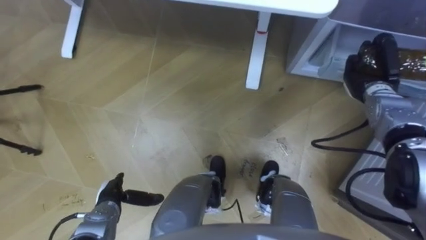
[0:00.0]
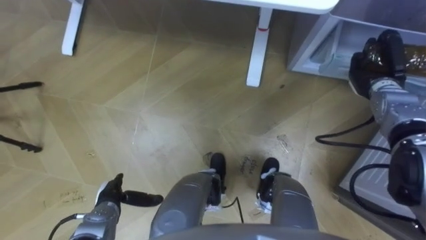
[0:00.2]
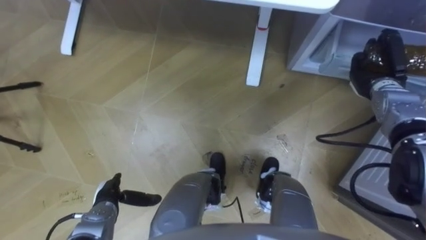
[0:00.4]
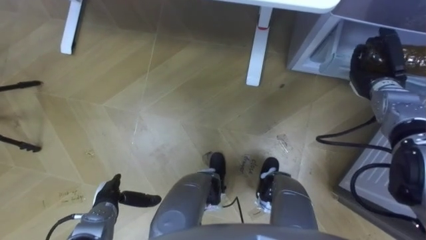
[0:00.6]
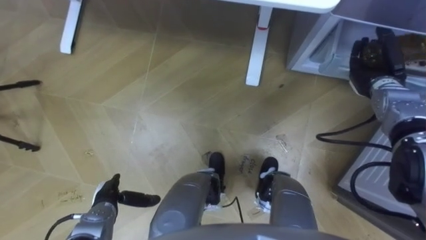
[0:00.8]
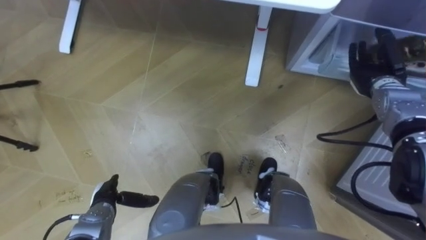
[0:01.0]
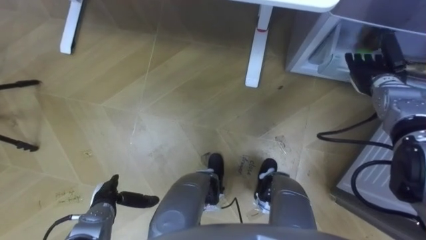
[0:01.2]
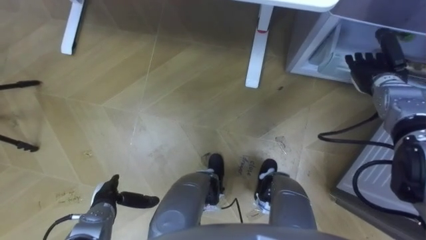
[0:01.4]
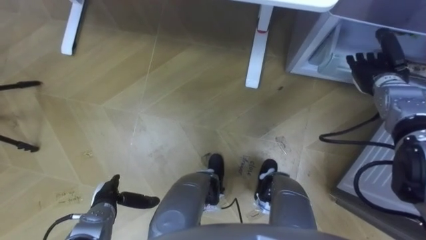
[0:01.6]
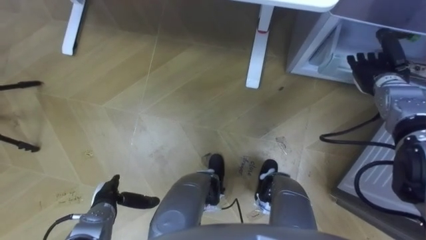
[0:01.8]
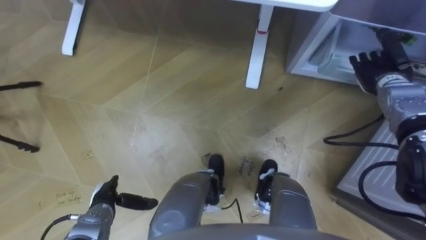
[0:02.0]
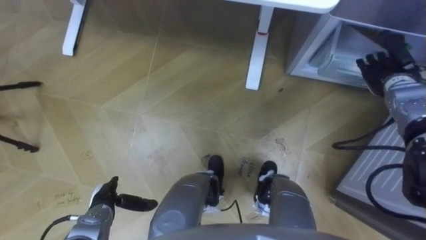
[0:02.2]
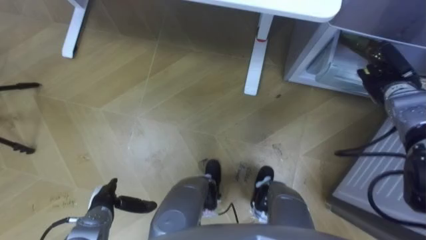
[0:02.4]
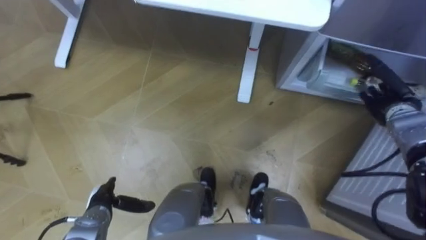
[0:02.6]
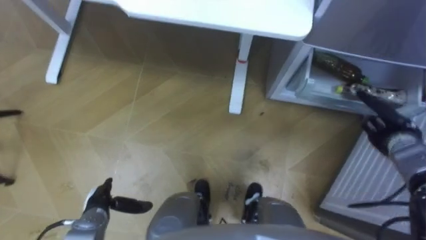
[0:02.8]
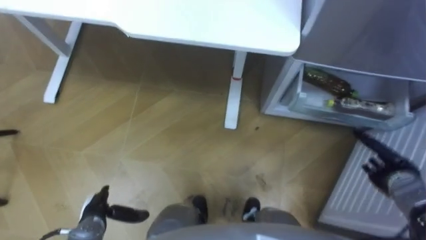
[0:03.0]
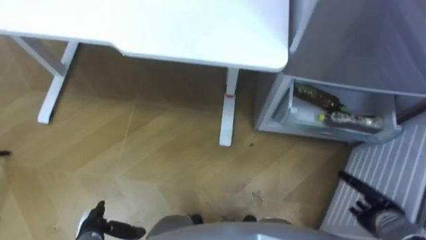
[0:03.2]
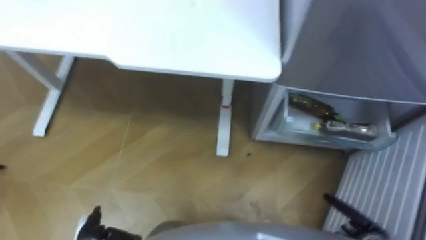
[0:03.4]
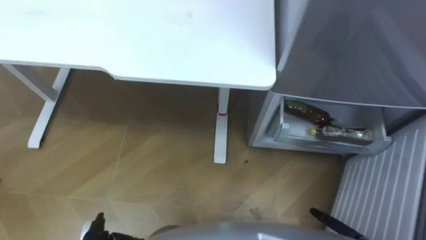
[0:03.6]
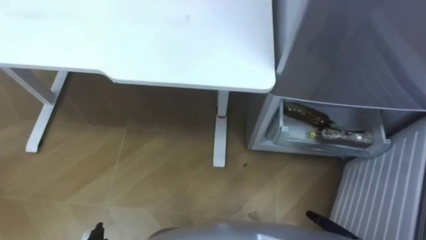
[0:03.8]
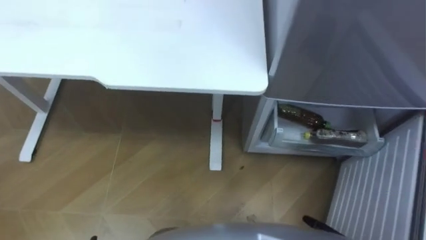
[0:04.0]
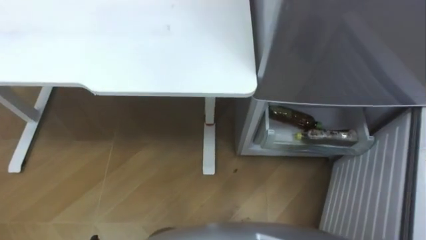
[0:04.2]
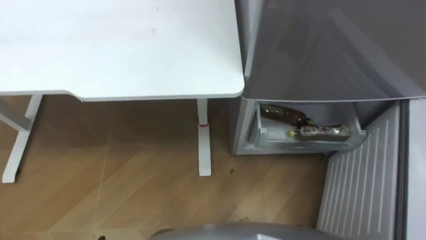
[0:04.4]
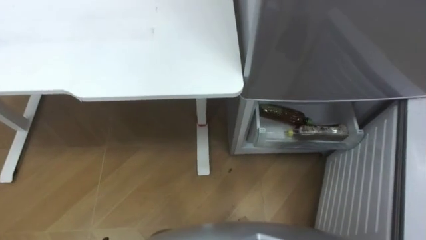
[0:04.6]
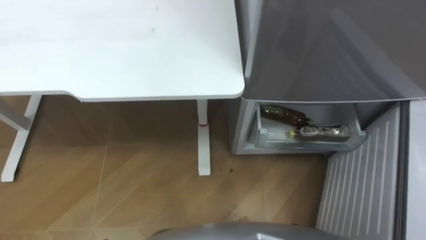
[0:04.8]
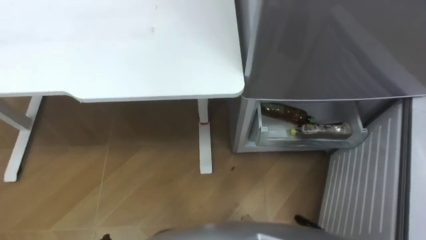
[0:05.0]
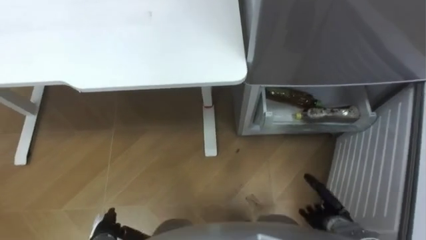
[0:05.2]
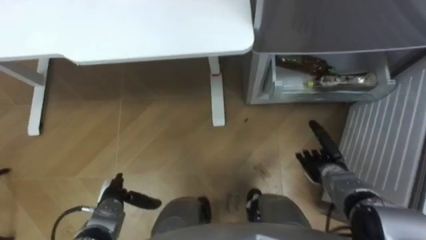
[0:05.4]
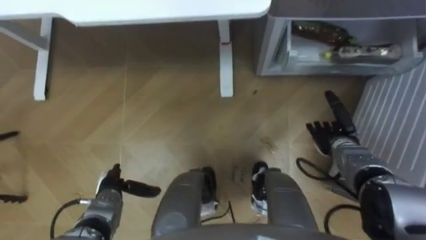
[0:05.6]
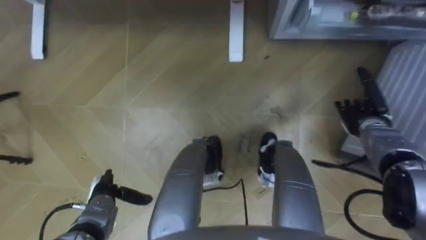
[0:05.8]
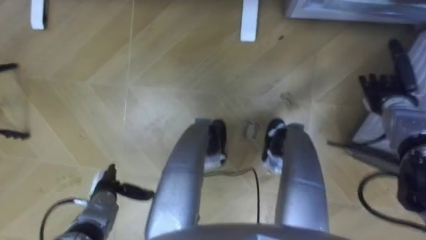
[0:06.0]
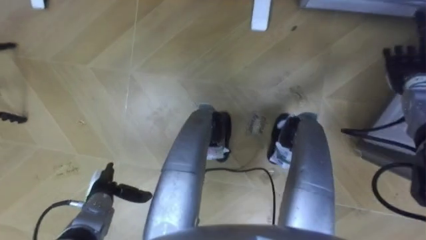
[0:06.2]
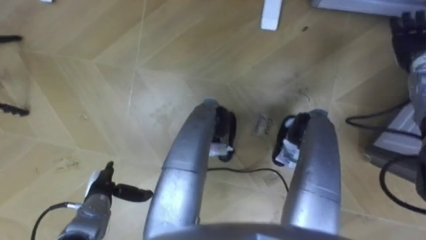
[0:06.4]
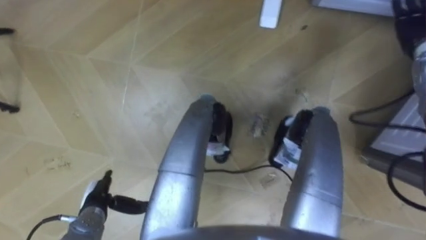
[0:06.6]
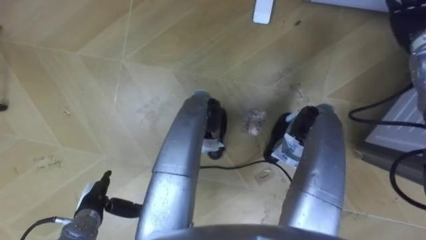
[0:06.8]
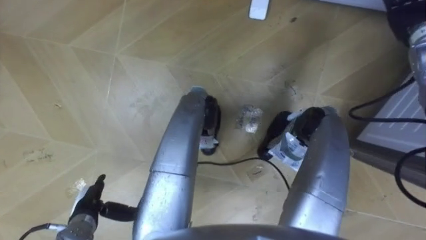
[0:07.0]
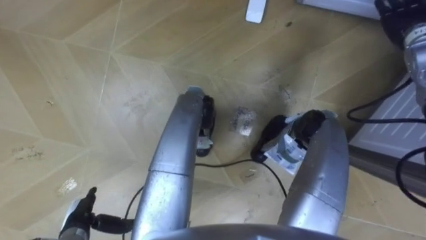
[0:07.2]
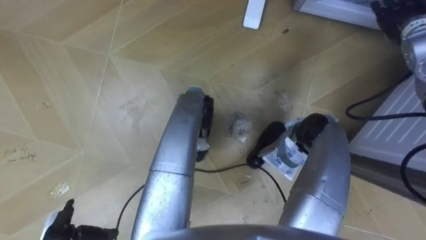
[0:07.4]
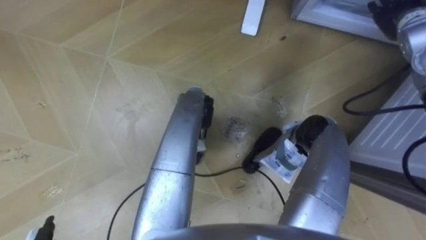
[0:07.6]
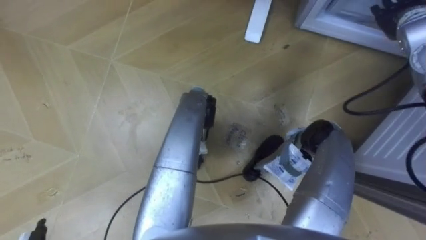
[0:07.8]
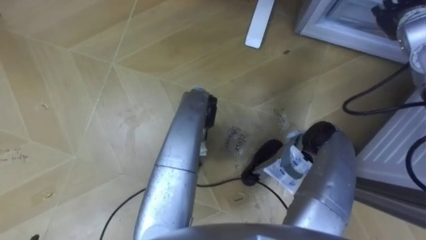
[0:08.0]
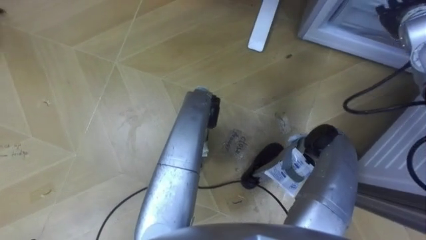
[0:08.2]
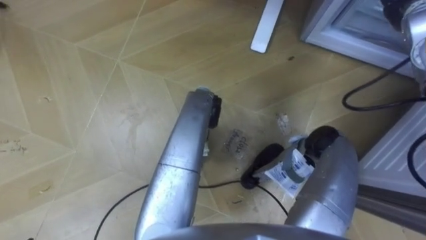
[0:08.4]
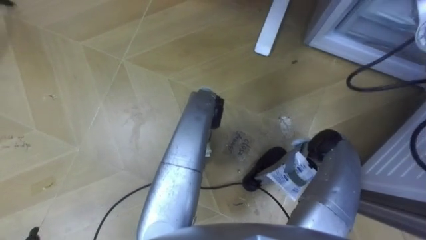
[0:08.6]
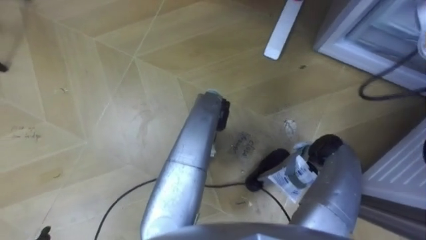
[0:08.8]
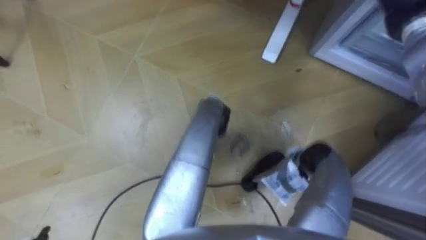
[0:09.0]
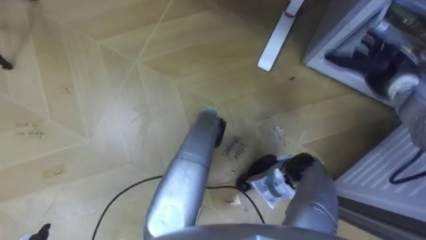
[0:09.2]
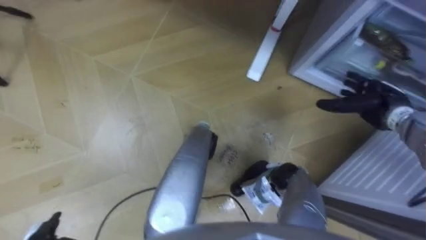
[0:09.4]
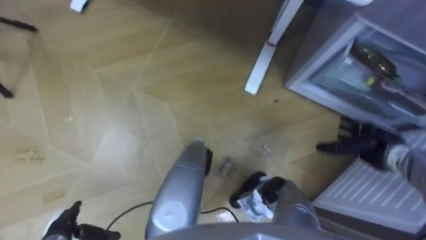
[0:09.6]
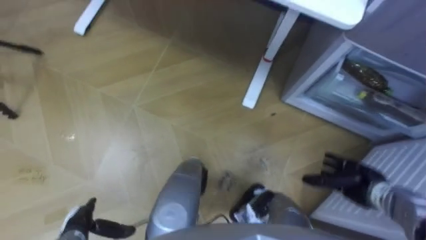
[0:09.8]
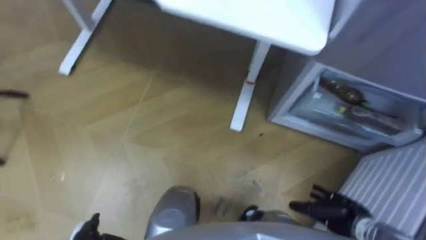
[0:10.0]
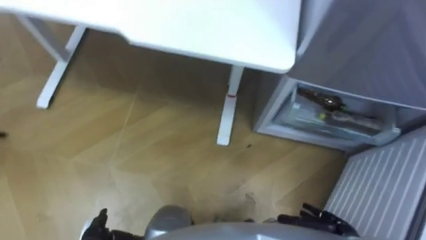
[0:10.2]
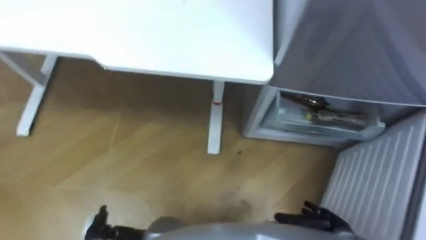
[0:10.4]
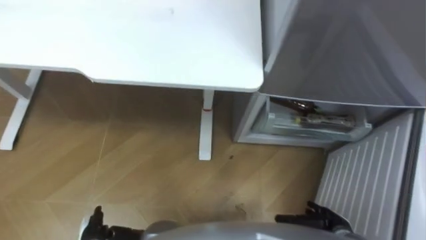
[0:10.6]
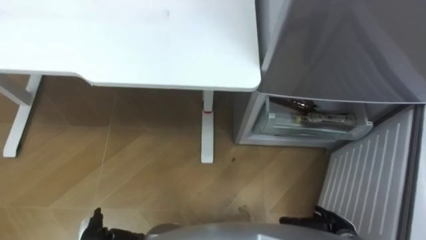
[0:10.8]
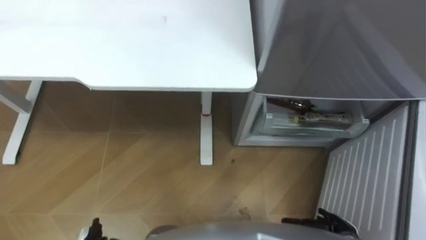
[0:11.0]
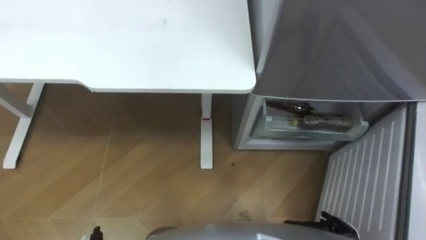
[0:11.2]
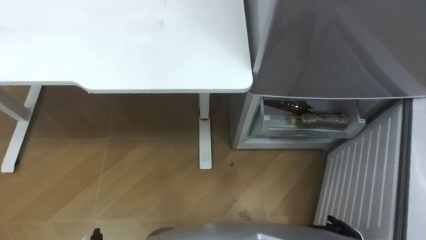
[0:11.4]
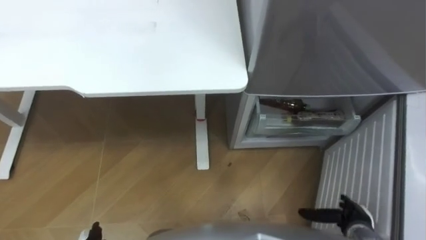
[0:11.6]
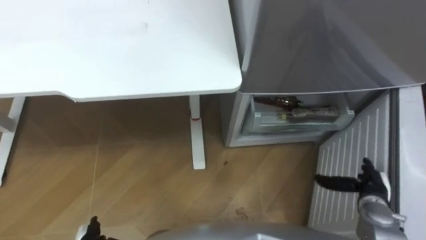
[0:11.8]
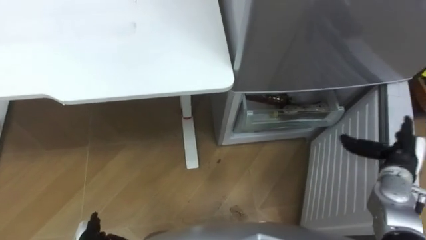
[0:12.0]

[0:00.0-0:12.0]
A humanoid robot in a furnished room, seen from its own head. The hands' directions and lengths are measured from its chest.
Task of the whole recording: Place the drink on the table on the bottom shelf of the refrigerator, then close the drawer and the refrigerator door.
0:00.0 to 0:01.6: The right hand opens up.
0:01.6 to 0:03.0: The right hand is displaced backward and downward by approximately 20 cm.
0:06.0 to 0:07.6: The right hand is displaced upward and forward by about 15 cm.
0:09.0 to 0:10.4: The right hand is displaced backward and downward by approximately 50 cm.

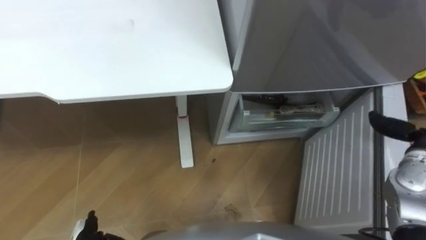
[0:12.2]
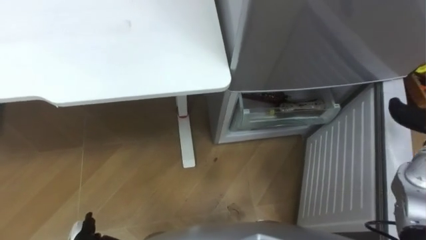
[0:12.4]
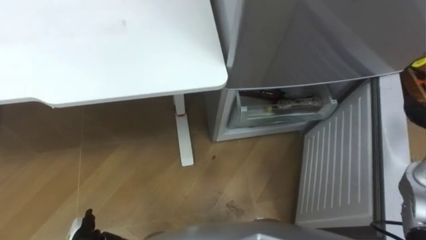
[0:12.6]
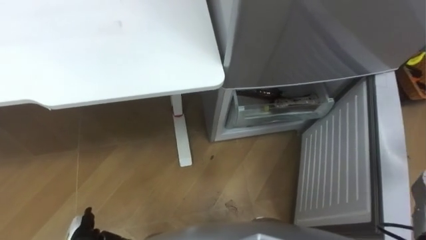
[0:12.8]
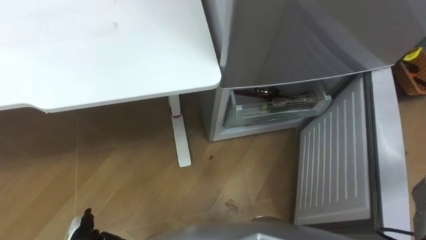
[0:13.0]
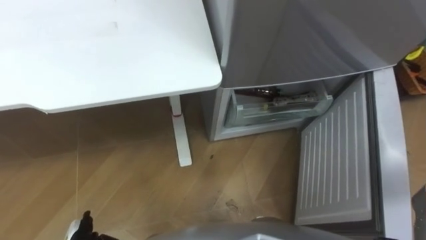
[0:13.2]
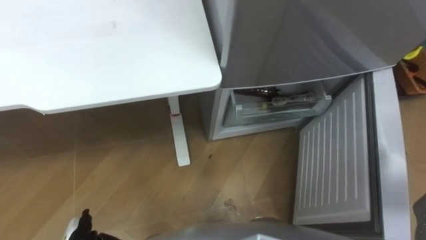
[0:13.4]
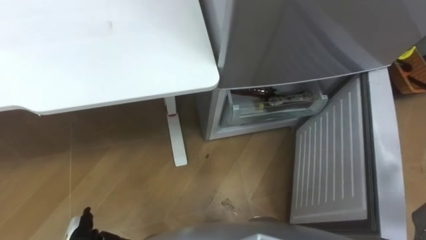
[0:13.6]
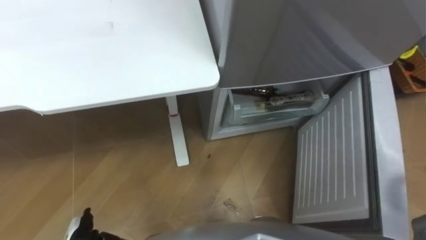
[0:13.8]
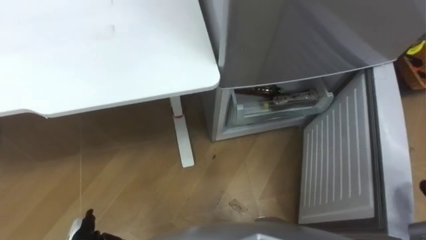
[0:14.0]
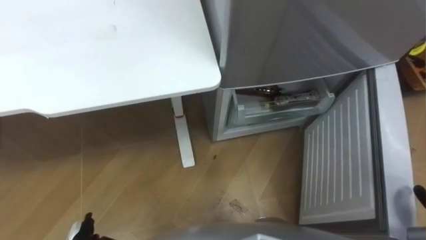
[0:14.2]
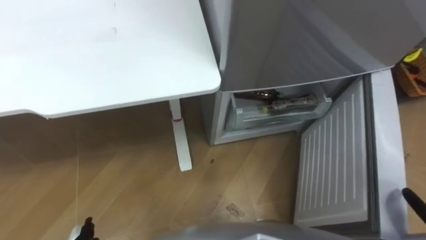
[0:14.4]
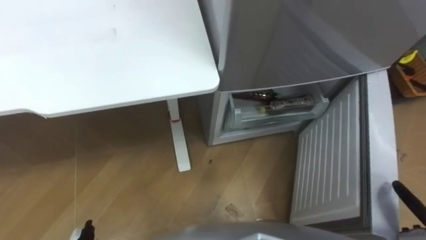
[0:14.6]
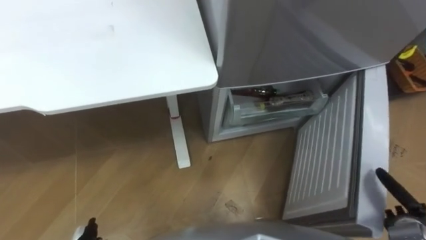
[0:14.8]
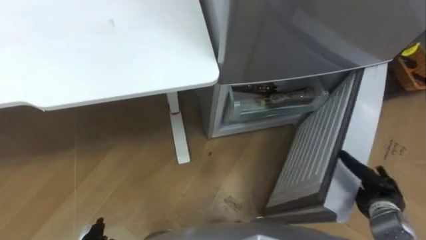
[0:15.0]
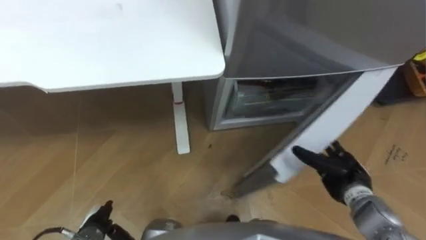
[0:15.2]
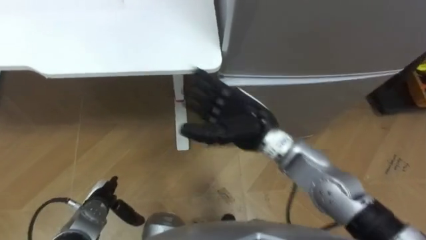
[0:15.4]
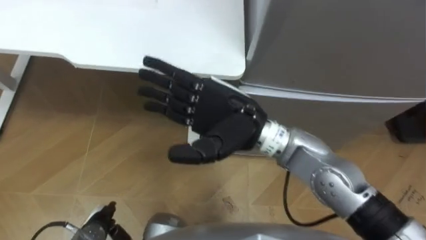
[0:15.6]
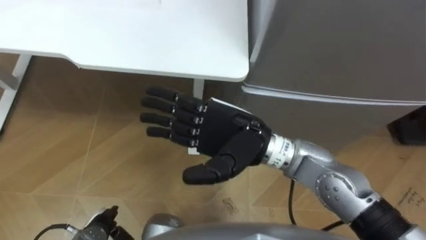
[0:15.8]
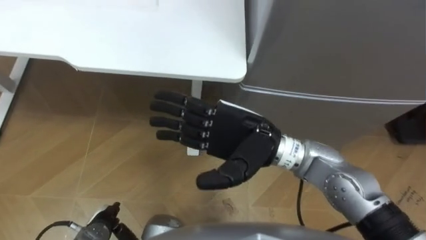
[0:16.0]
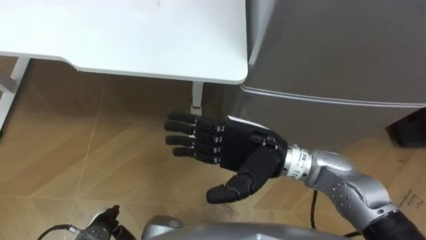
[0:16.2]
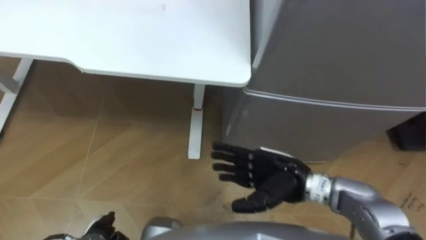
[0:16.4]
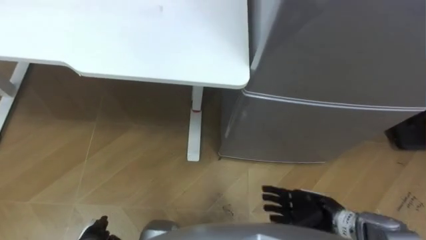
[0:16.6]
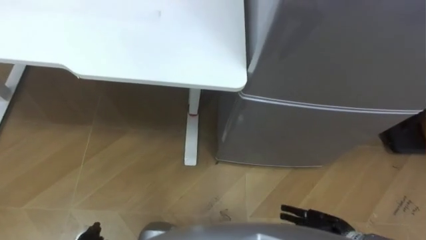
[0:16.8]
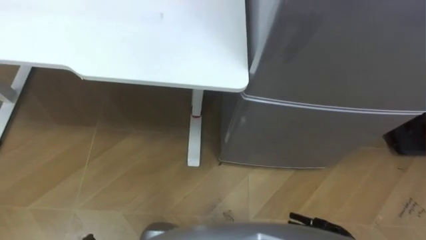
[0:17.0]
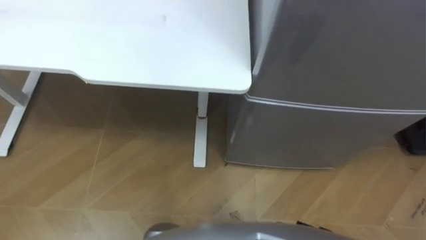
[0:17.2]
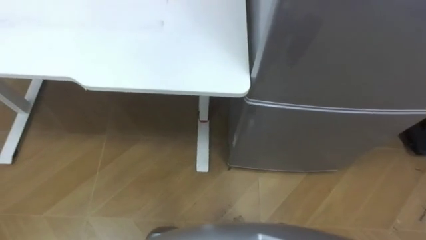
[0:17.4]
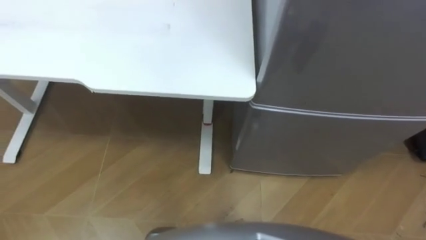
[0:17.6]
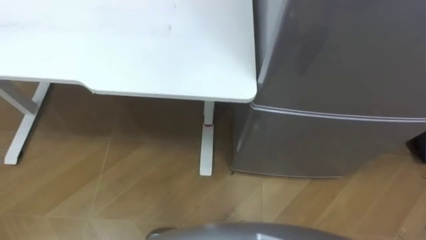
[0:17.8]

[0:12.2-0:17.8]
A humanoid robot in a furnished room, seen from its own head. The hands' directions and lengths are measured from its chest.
Task of the whole recording: Place the drink on the table on the bottom shelf of the refrigerator, then close the drawer and the refrigerator door.
0:15.0 to 0:16.4: The right hand heads to the left and upward, covering about 25 cm.
